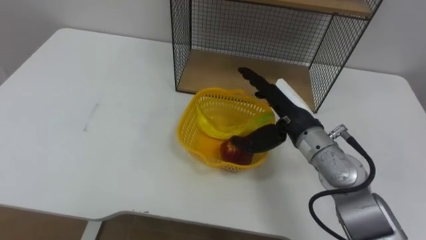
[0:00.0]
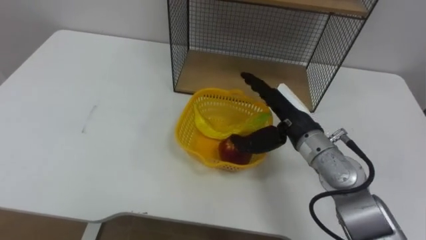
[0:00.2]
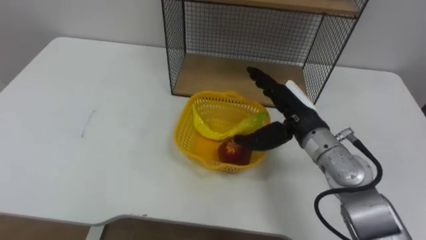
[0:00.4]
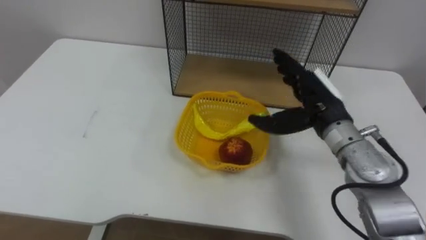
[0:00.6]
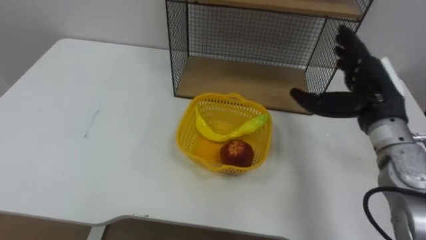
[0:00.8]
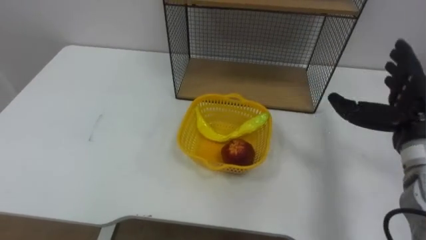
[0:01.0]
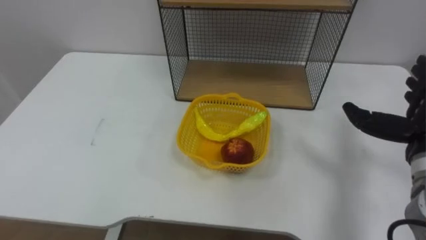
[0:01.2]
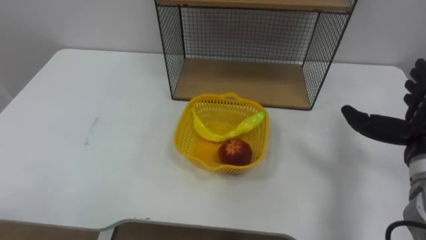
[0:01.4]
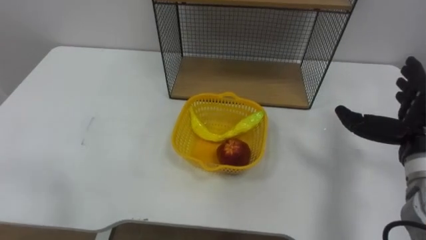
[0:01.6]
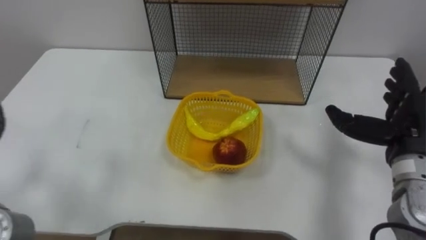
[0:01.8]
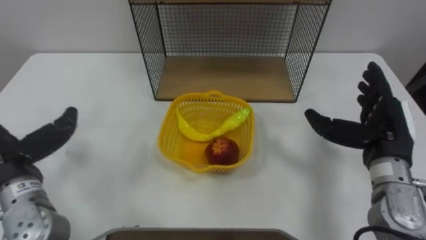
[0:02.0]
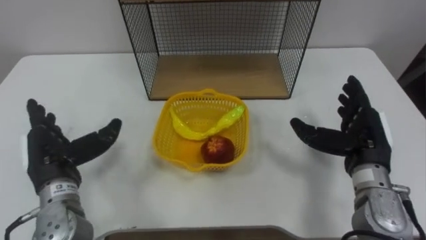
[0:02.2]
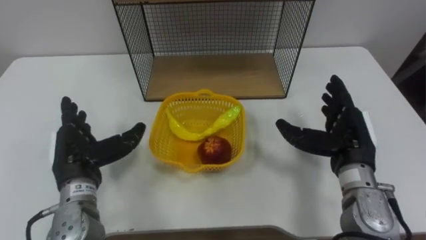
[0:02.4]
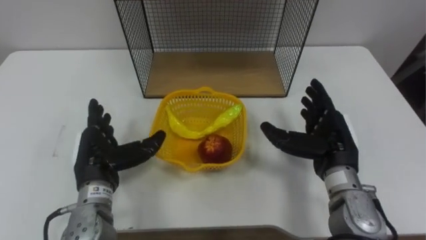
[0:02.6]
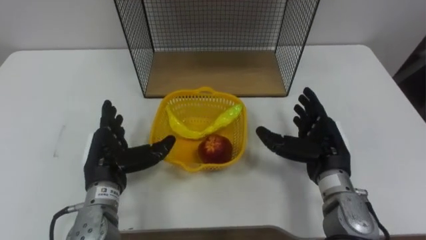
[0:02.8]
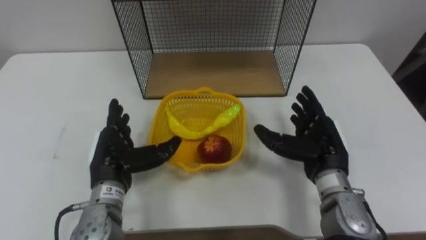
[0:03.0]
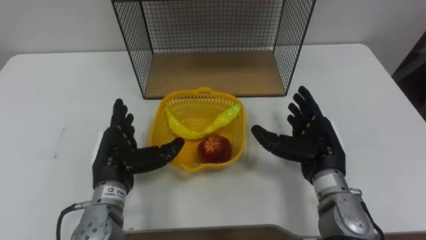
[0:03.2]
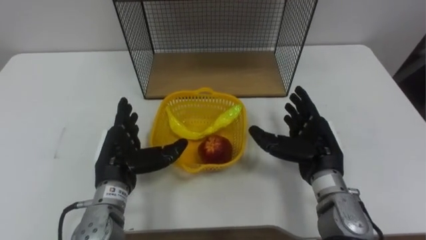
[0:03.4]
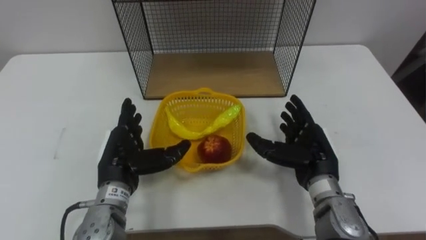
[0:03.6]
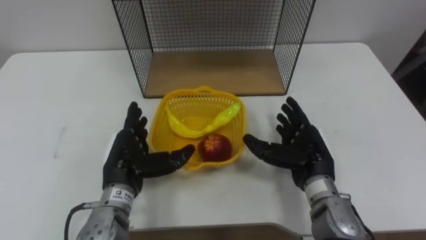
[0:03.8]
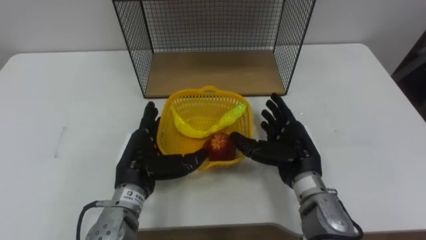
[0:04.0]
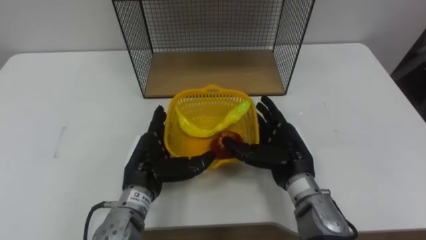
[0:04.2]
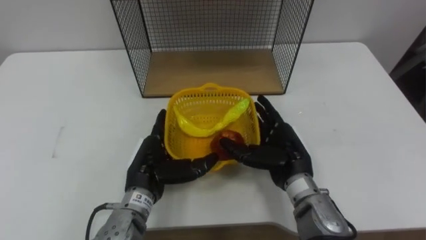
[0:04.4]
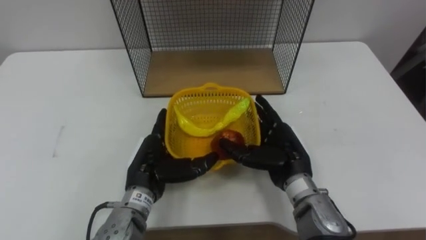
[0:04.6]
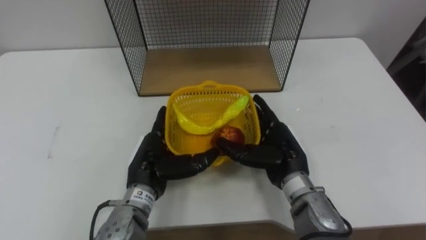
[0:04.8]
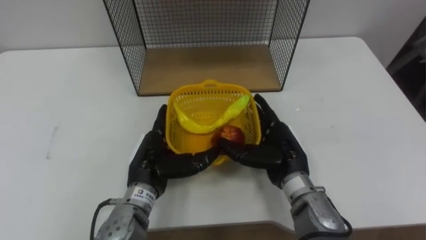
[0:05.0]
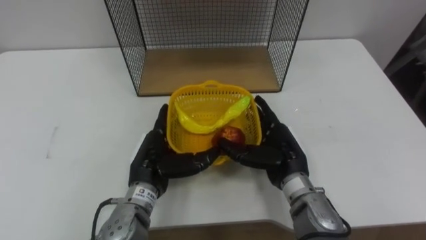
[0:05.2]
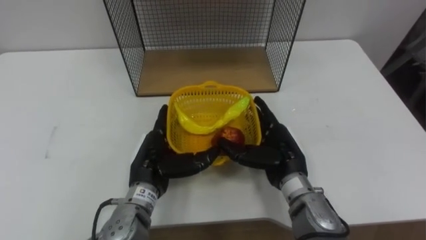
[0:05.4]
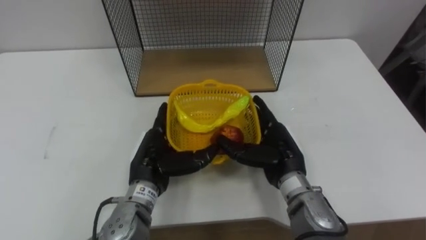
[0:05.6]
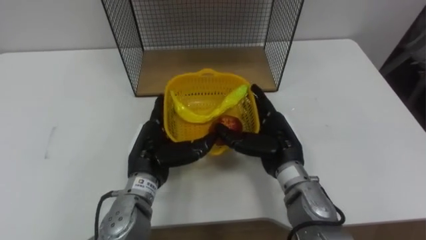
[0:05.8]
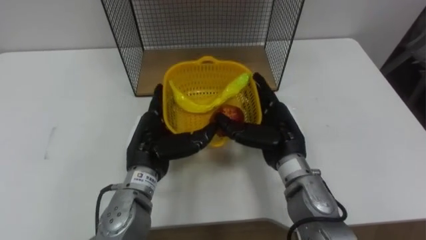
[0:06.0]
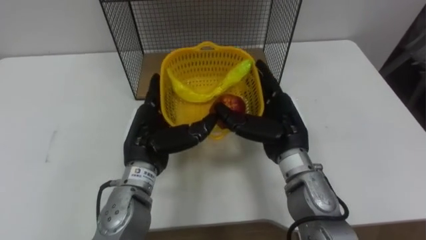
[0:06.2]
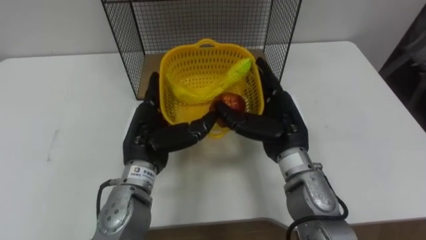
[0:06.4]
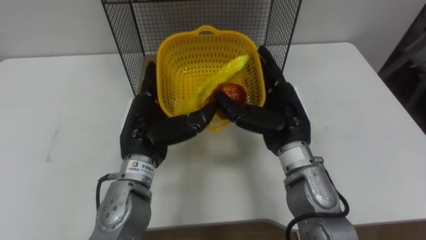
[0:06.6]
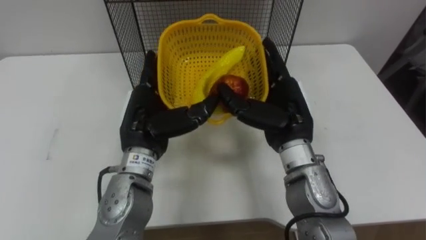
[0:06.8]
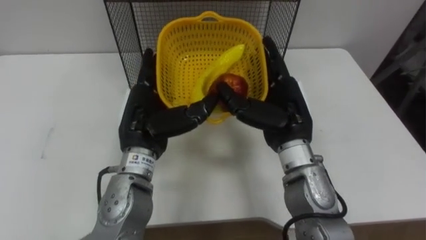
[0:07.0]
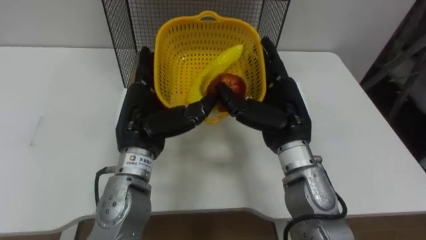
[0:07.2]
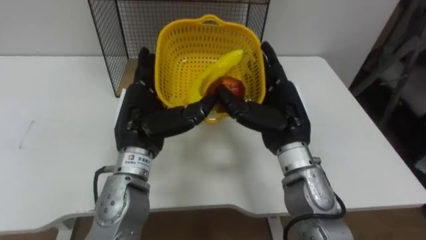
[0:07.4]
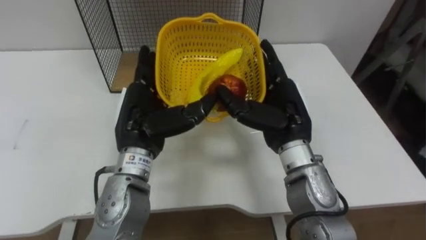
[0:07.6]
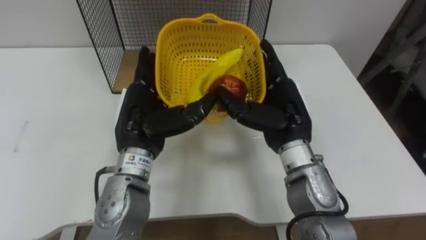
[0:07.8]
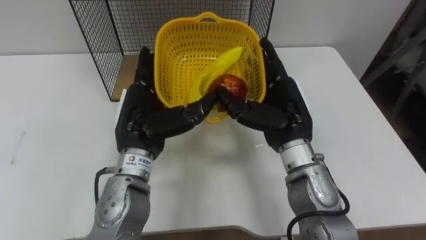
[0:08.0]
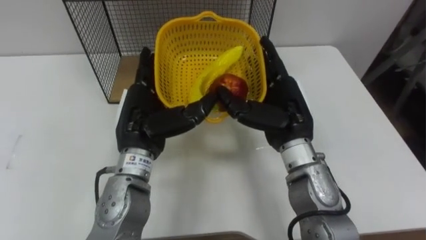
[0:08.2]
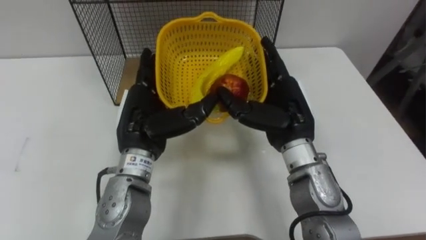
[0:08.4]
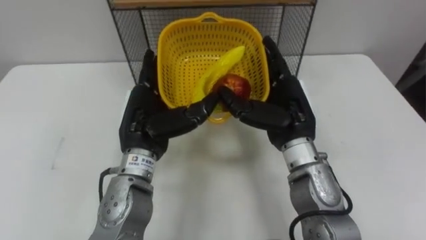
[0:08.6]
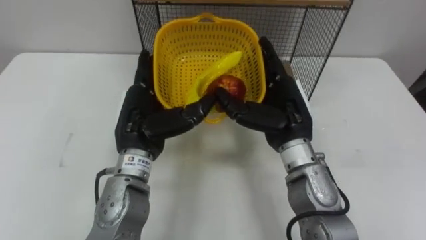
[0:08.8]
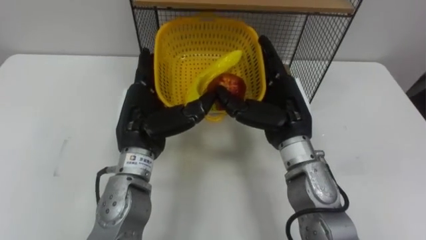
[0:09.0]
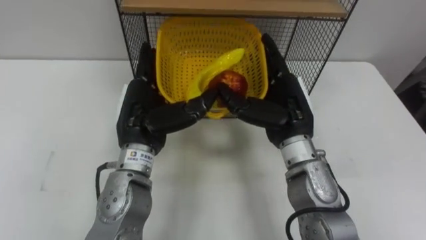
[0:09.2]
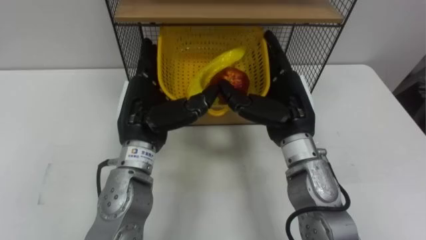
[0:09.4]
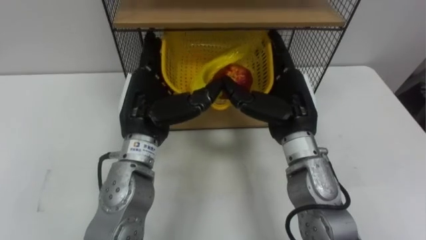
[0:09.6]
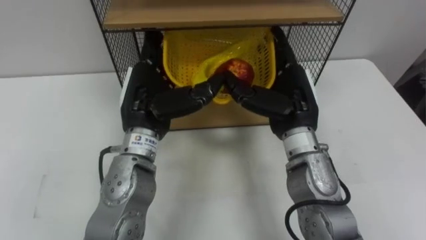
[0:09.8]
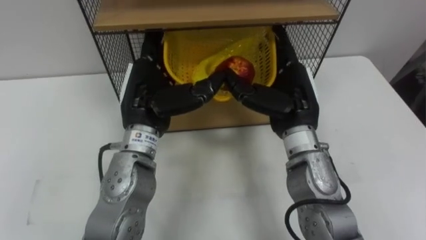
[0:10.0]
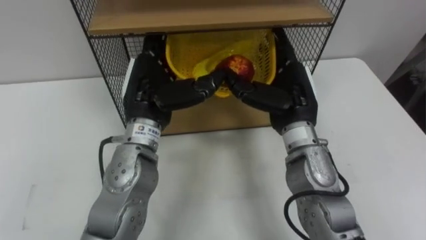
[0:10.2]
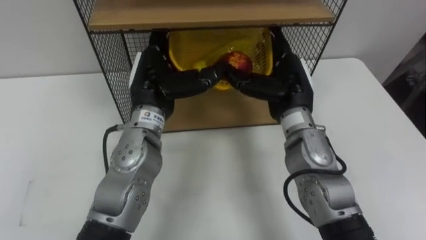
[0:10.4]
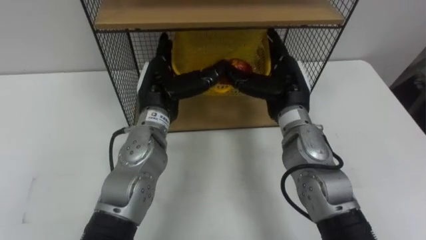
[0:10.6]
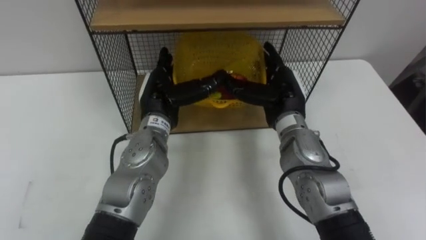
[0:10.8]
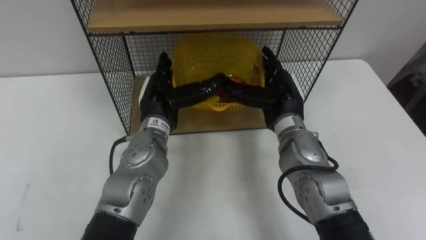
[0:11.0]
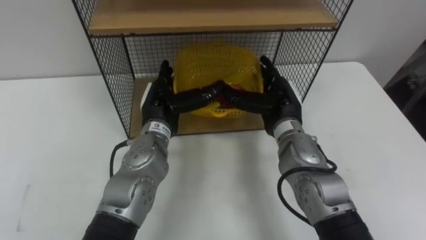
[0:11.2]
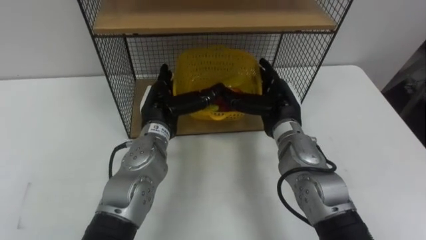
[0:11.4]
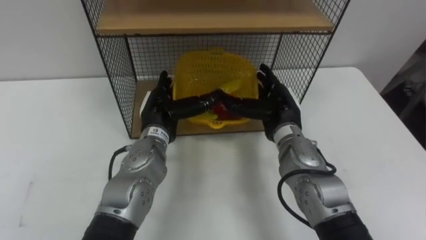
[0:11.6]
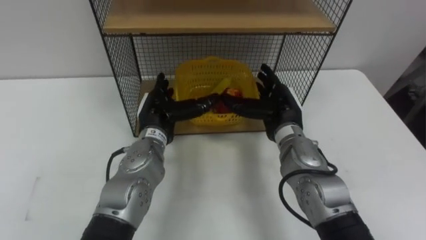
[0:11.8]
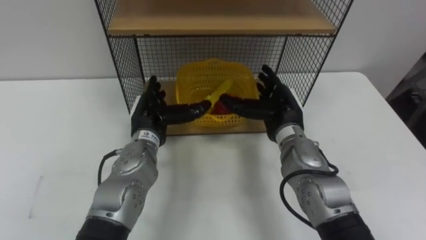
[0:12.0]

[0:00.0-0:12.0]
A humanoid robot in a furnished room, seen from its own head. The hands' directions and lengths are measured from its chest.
Task of the whole recording: Put the fruit on the table into the basket, then place the basket on the shelf.
0:03.0 to 0:04.4: The right hand goes roughly 5 cm to the left; the left hand moves to the right, some 5 cm.
0:06.0 to 0:07.6: The left hand moves upward, about 5 cm.
0:09.0 to 0:10.4: The left hand heads forward, covering about 5 cm.
0:10.4 to 0:12.0: Both hands move downward, some 10 cm.

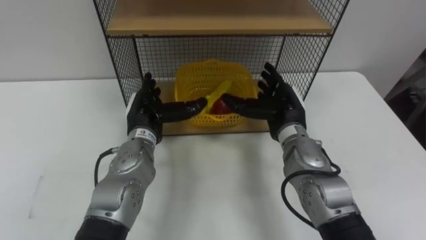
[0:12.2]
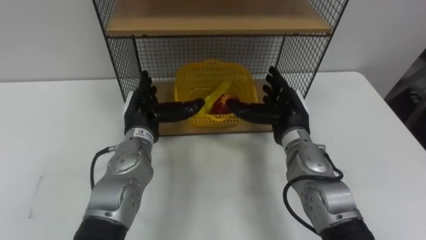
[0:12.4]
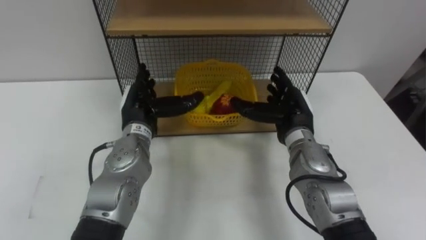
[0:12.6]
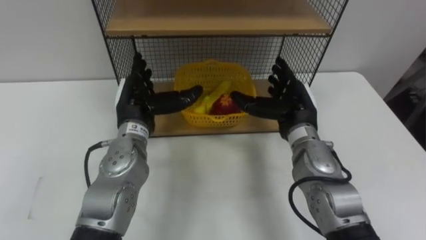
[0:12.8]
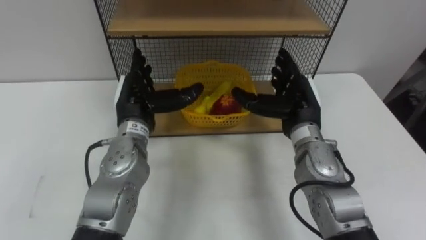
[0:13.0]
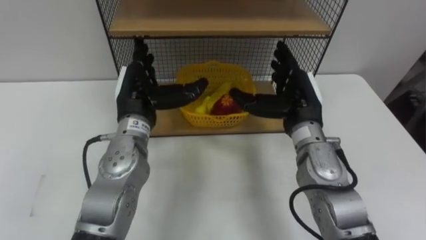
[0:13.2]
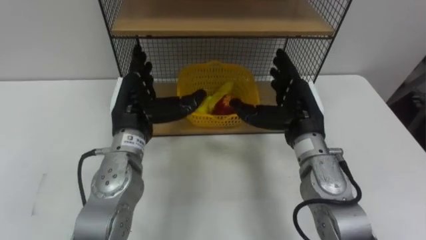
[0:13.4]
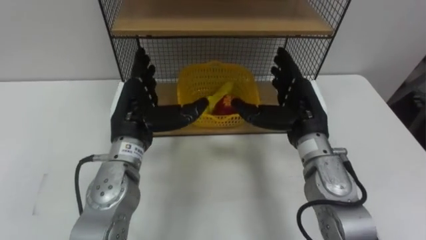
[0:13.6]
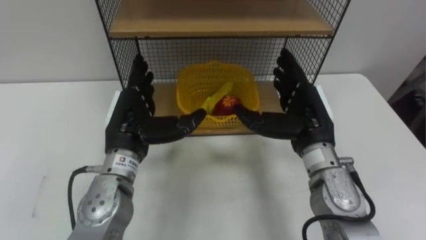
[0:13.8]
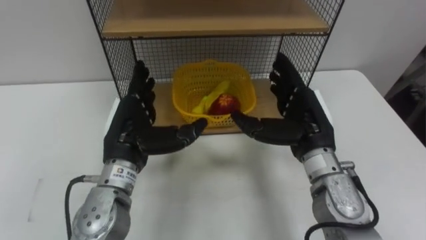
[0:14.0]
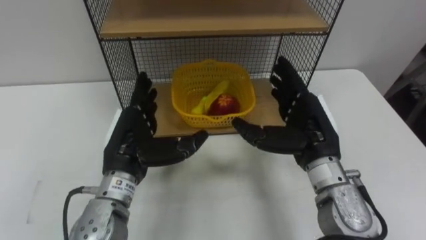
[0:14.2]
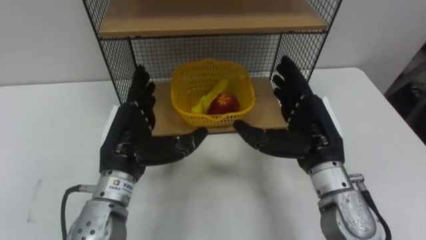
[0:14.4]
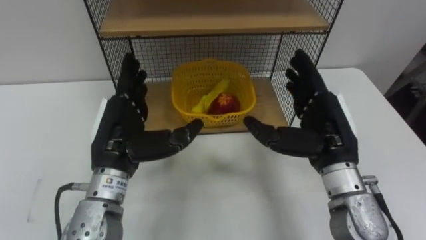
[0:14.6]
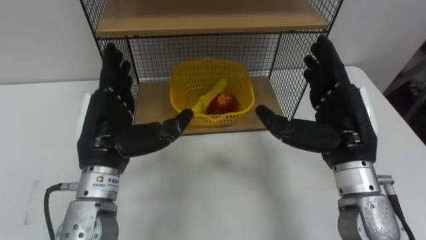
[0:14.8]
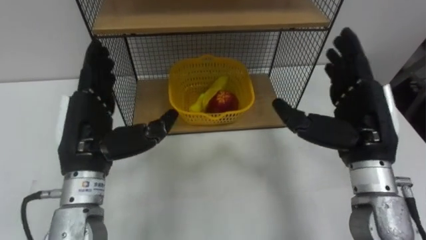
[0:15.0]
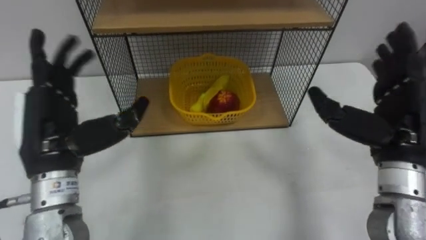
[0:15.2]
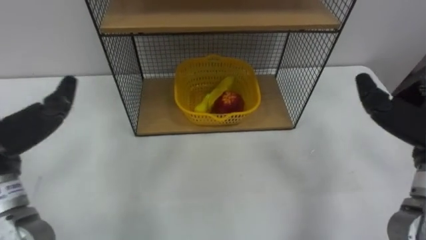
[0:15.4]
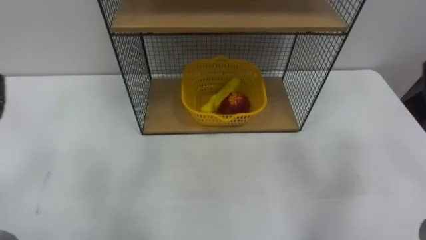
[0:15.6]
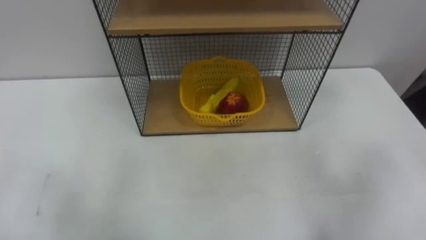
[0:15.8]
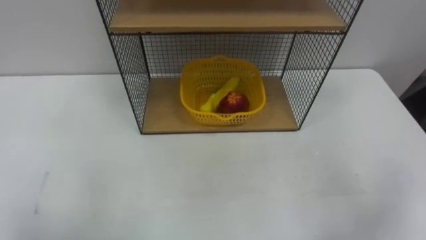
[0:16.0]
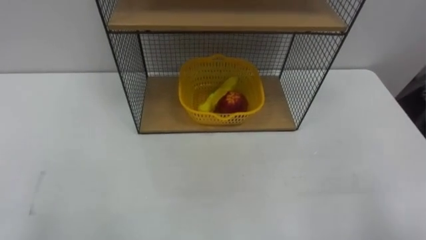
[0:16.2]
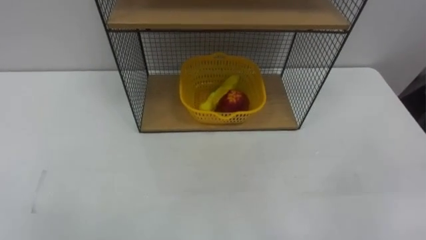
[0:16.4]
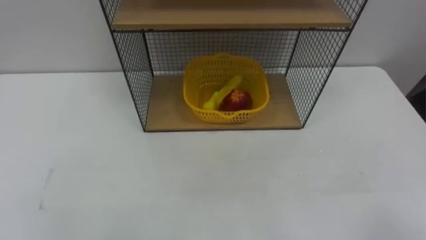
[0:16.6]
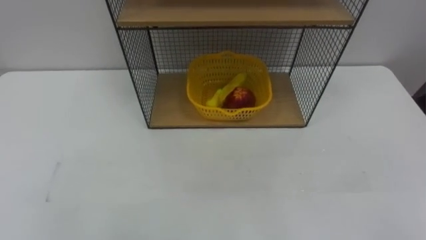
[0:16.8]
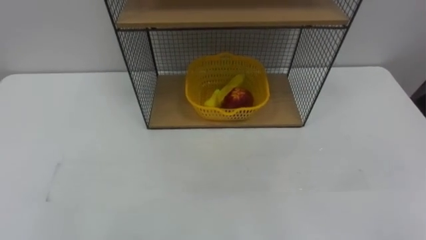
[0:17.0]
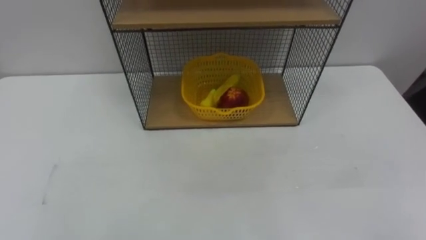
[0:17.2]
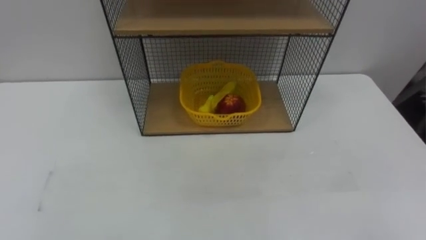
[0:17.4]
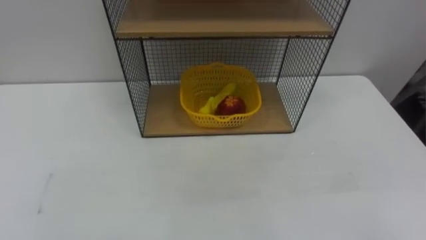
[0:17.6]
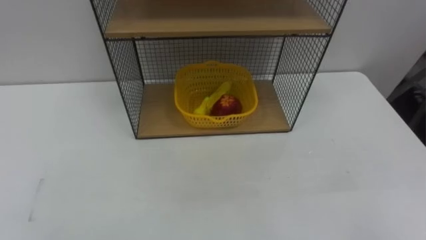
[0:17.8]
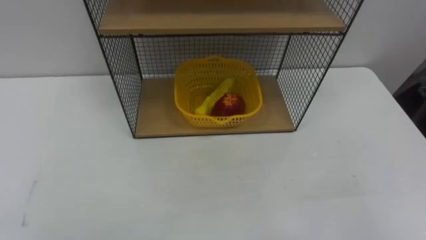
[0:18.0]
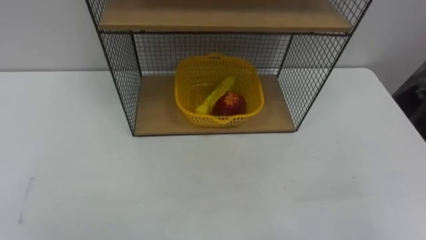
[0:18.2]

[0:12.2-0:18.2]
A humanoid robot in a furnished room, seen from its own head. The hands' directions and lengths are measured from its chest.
Task of the whole recording: Put the fruit on the table into the basket, then place the basket on the shelf.
0:12.2 to 0:13.8: The left hand shifts approximately 10 cm backward and upward; the right hand goes approximately 5 cm backward.
0:13.8 to 0:15.2: The left hand is displaced to the left, backward and upward by about 10 cm. Meanwhile the right hand moves to the right, backward and upward, about 10 cm.
